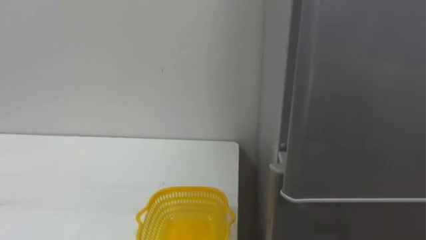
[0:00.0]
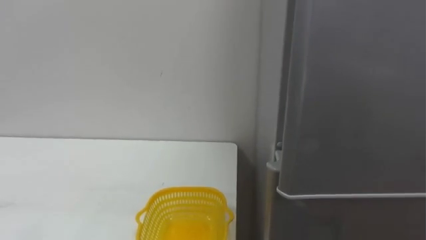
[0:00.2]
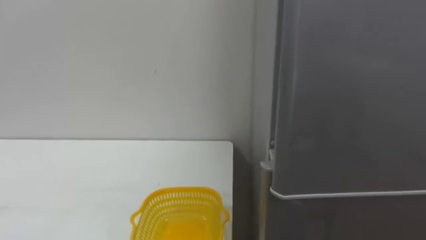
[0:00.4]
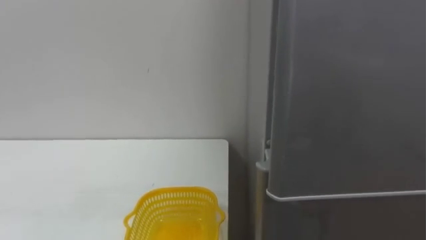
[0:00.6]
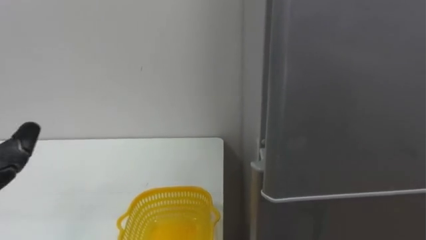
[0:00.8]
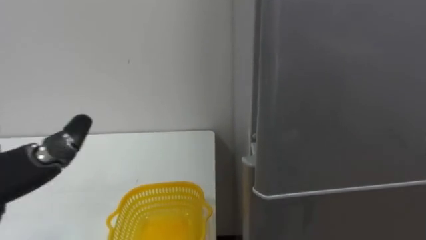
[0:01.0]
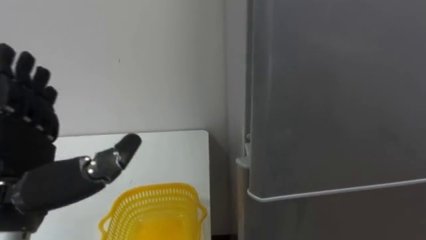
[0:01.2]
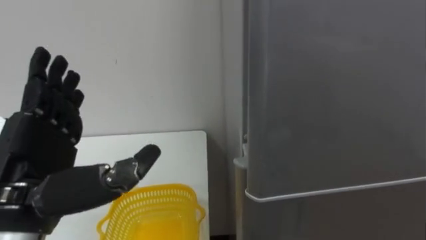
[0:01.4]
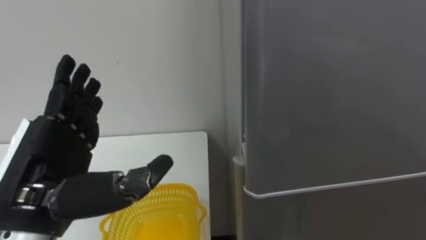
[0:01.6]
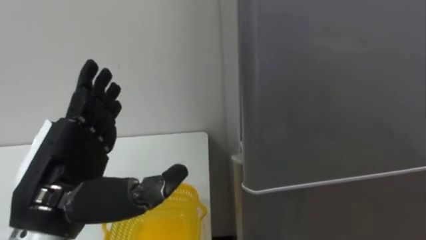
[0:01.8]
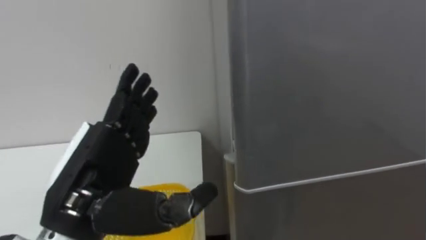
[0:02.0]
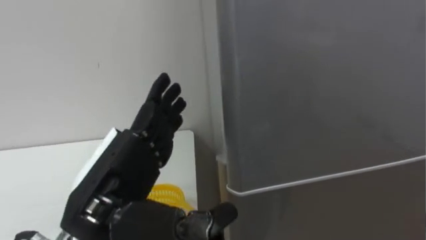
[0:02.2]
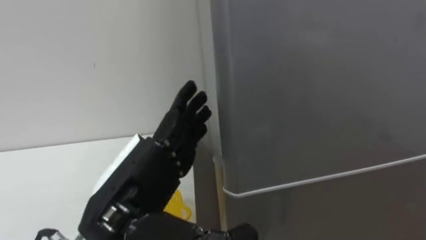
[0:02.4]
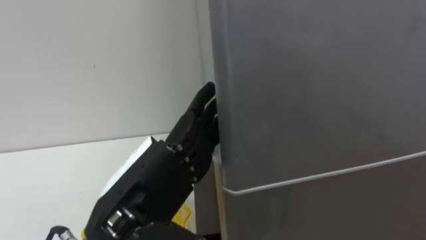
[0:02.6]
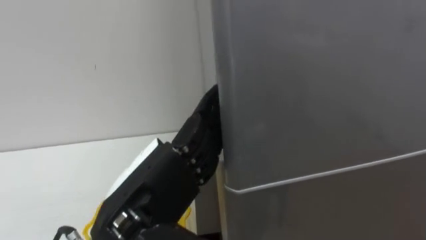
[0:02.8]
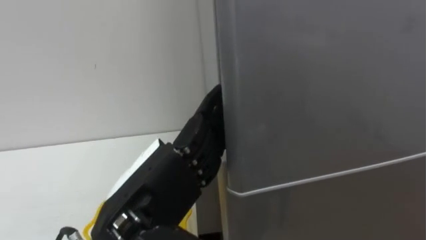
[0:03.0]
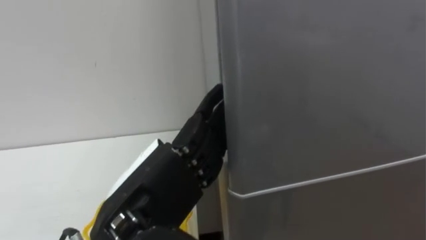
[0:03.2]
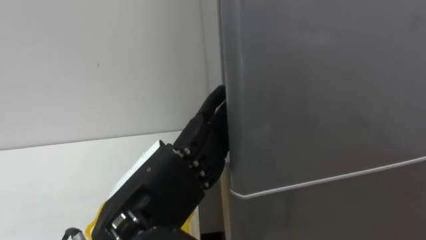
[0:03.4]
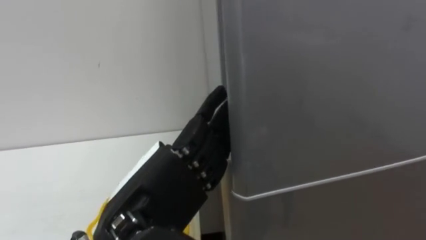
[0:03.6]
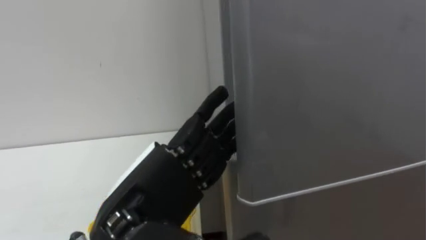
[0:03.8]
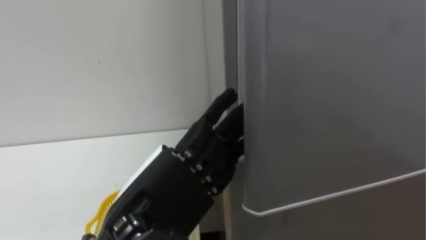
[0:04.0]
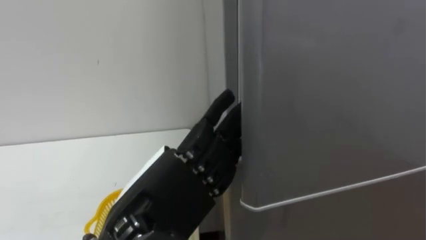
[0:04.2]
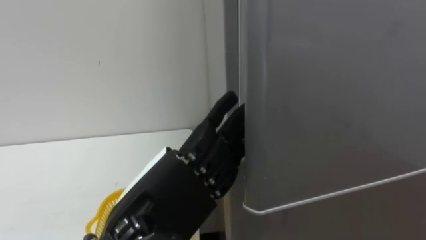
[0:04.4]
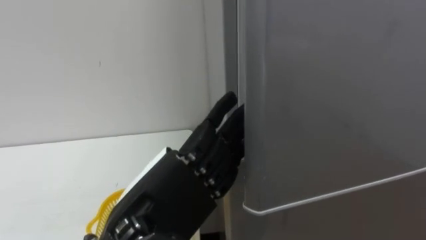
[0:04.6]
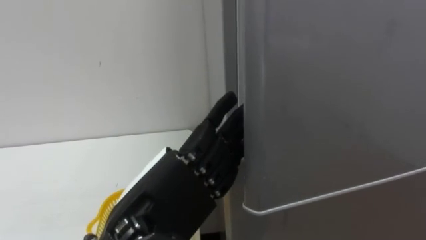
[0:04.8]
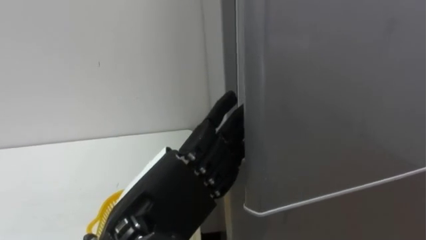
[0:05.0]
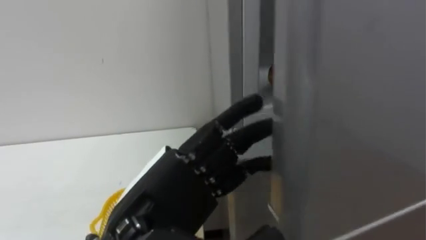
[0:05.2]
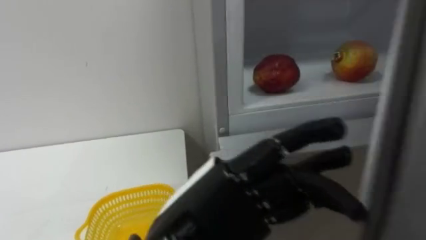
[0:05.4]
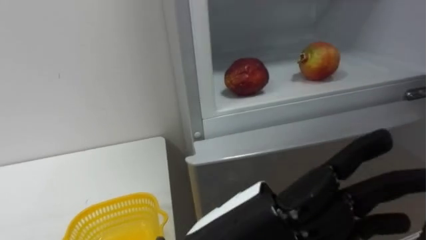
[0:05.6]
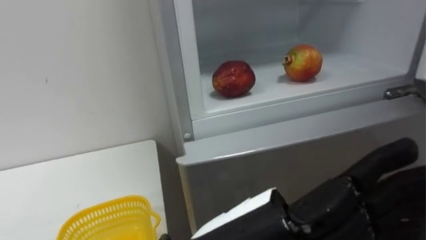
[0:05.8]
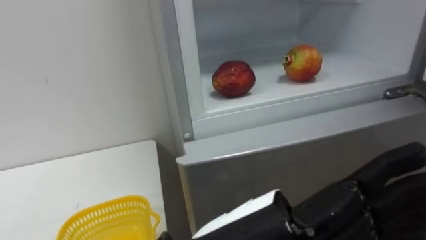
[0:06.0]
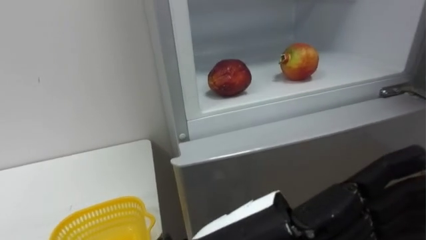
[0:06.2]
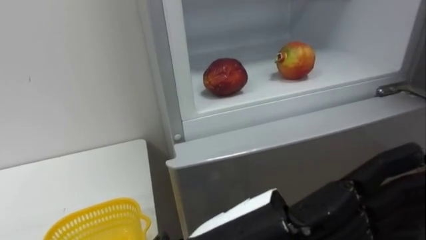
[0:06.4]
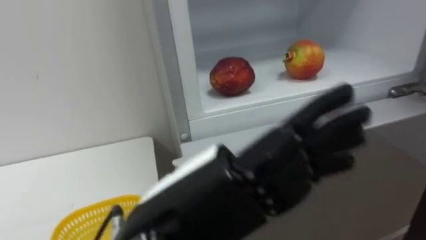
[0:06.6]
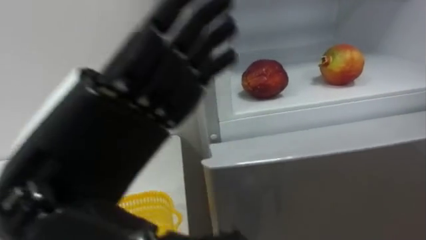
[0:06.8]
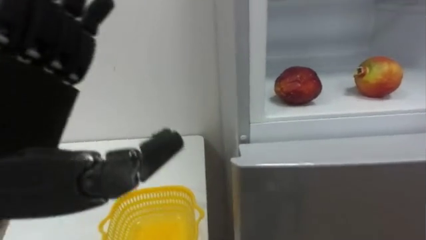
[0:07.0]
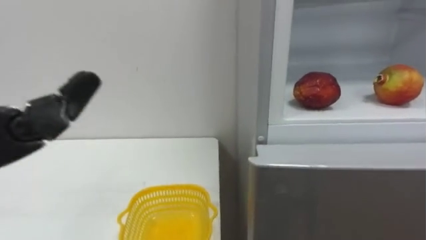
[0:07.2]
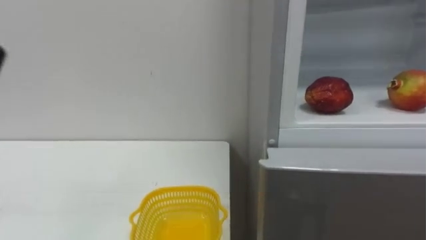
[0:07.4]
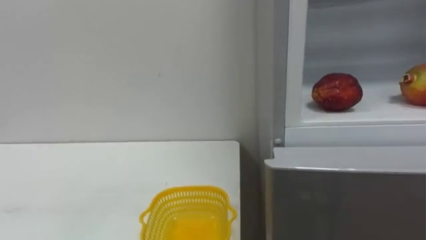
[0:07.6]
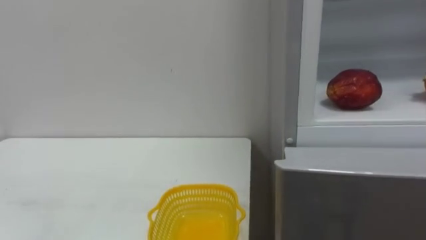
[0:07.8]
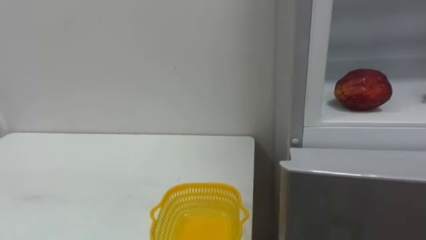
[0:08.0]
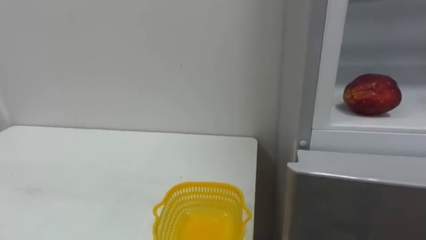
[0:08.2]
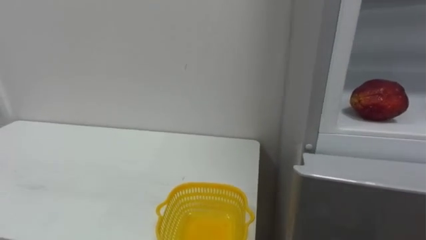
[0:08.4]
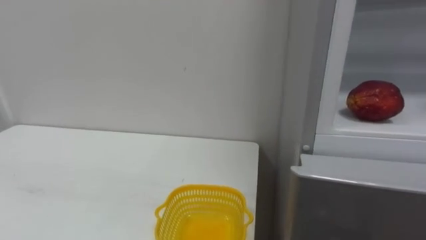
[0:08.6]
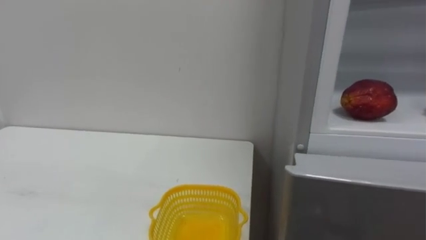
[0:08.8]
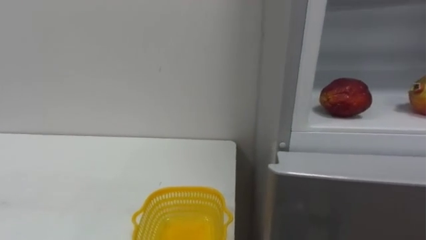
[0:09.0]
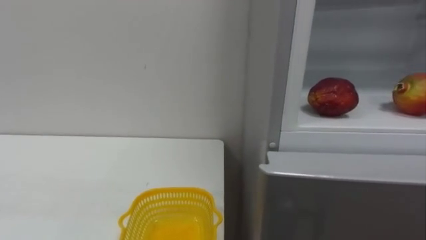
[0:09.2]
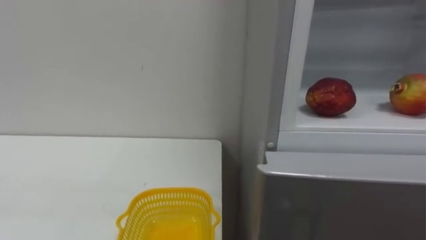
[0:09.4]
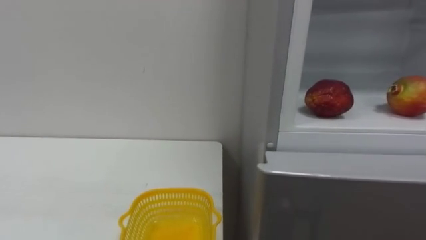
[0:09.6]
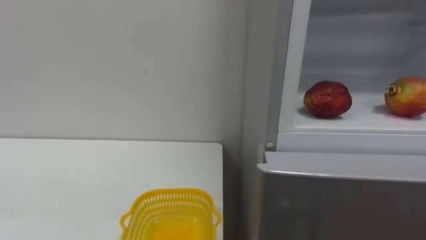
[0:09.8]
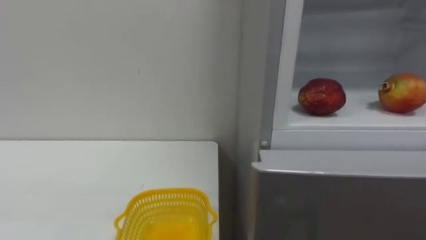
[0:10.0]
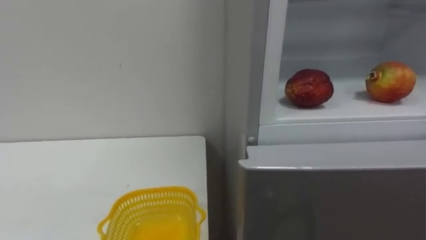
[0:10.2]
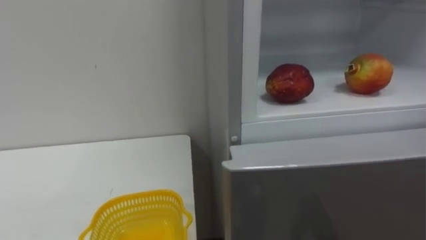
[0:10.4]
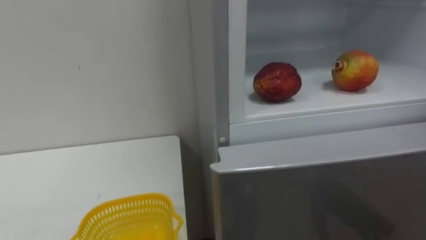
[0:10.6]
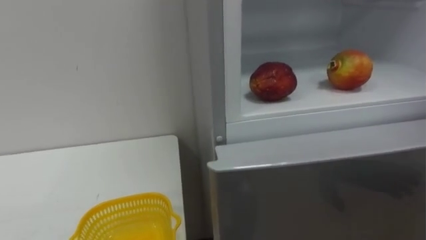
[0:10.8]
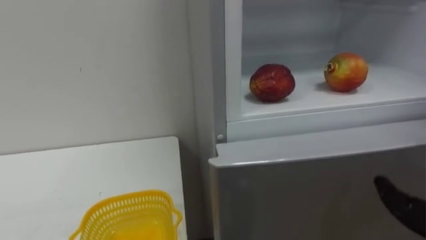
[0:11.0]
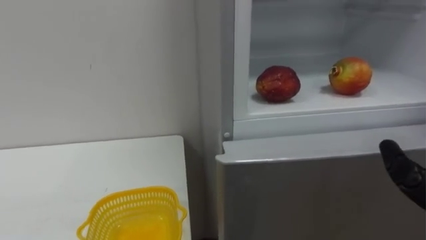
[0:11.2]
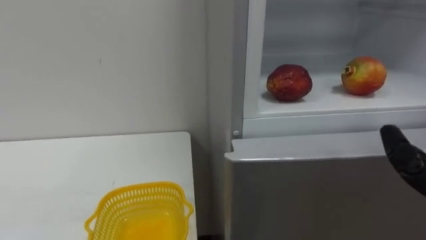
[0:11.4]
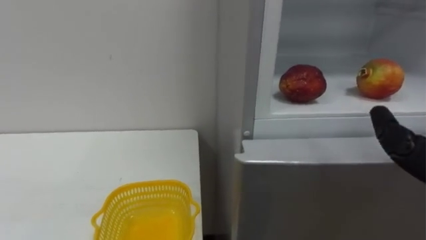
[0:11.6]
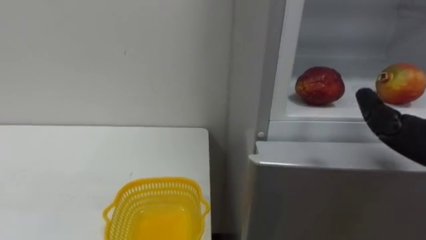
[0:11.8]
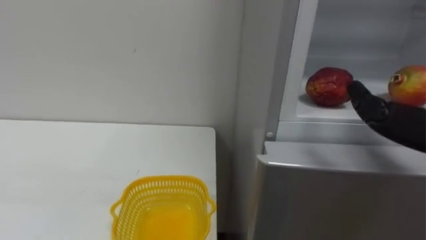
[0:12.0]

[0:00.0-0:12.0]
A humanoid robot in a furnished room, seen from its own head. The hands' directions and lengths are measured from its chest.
Task of the whole recording: Open the refrigerator door, take out the apple and the pomegranate, place them in the fruit basket on the left, and close the refrigerator door.
1.6 to 3.0 s: The left hand is displaced to the right by some 10 cm.
4.4 to 6.0 s: The left hand shifts roughly 10 cm to the right and backward.

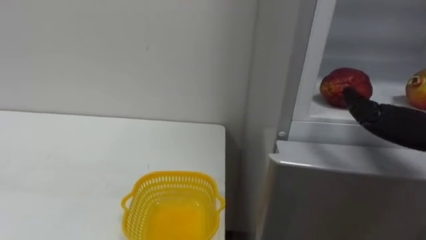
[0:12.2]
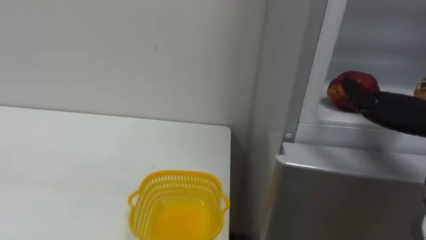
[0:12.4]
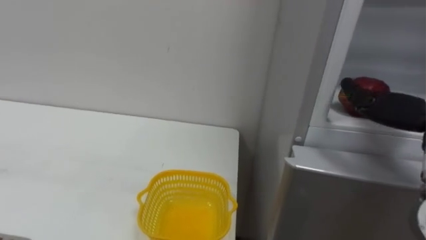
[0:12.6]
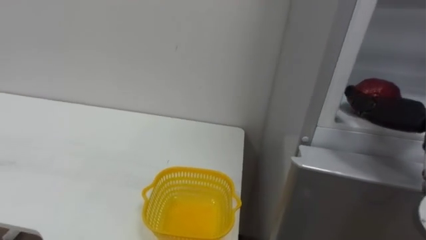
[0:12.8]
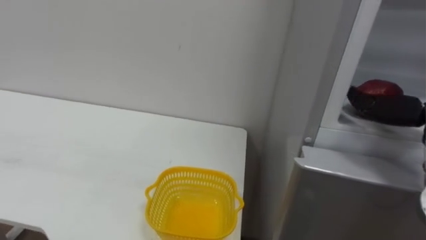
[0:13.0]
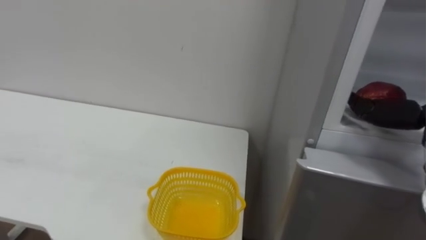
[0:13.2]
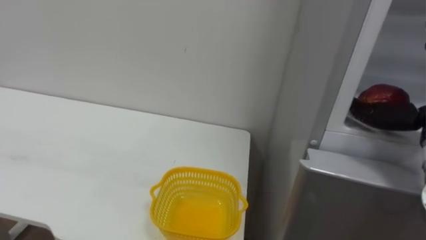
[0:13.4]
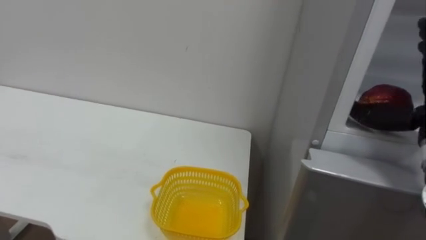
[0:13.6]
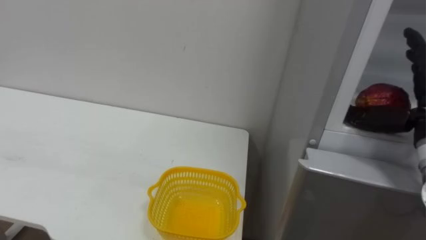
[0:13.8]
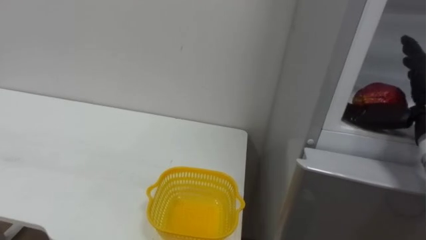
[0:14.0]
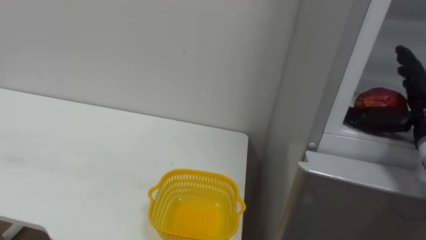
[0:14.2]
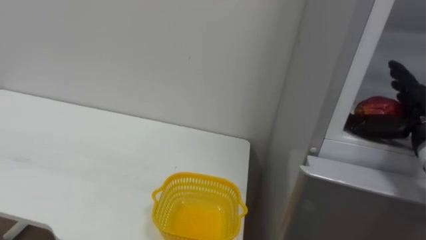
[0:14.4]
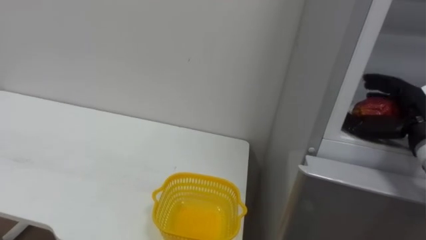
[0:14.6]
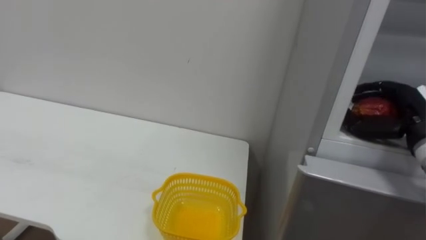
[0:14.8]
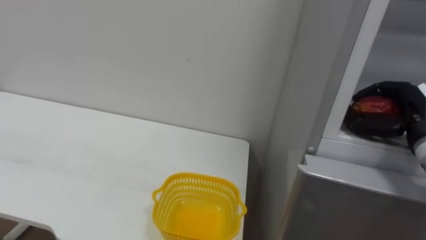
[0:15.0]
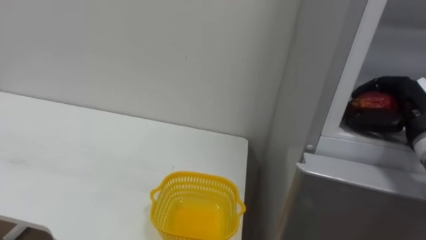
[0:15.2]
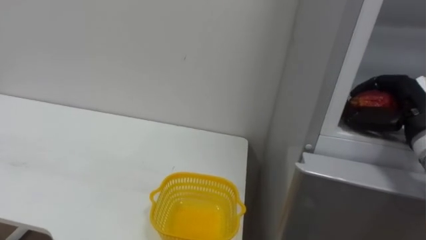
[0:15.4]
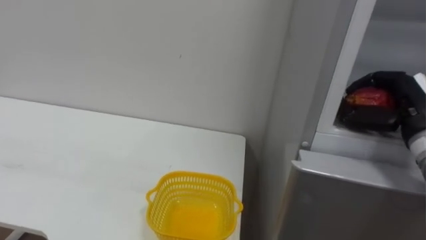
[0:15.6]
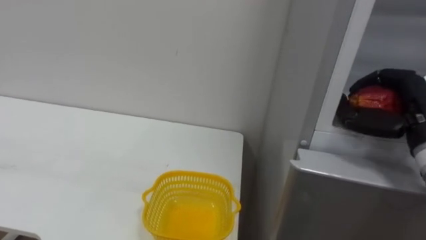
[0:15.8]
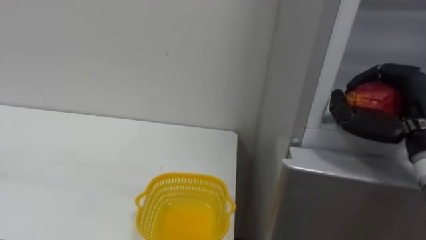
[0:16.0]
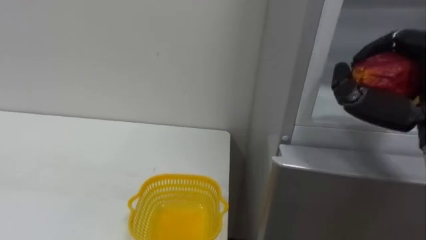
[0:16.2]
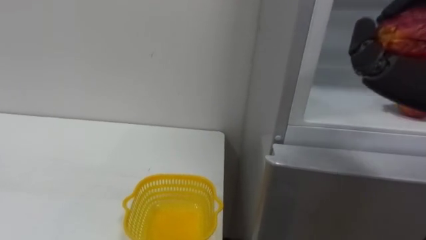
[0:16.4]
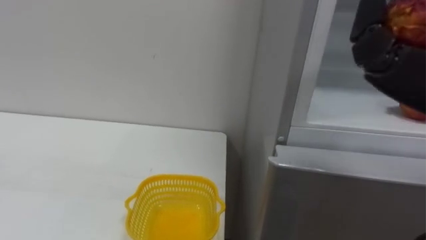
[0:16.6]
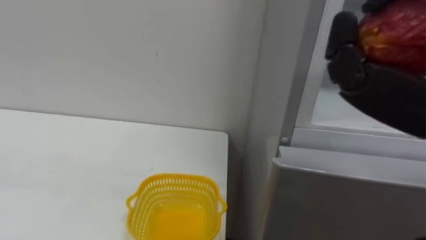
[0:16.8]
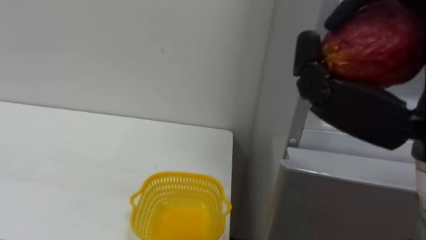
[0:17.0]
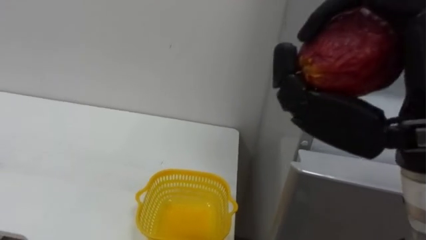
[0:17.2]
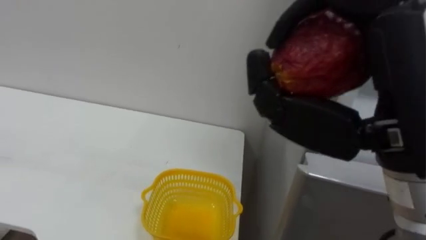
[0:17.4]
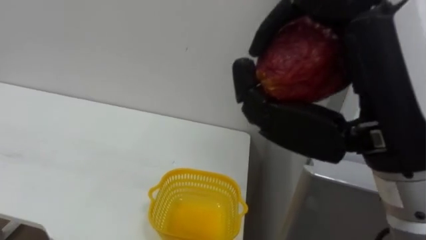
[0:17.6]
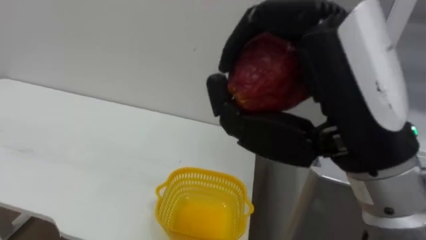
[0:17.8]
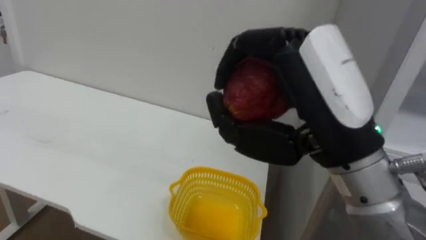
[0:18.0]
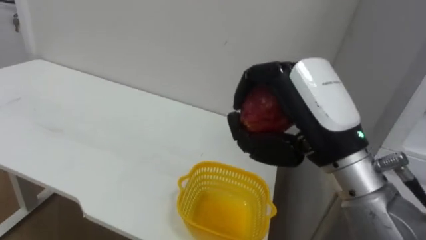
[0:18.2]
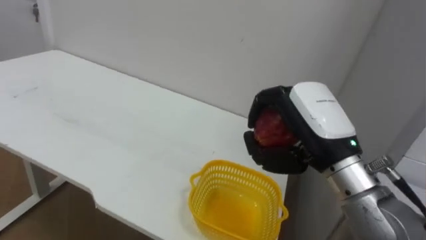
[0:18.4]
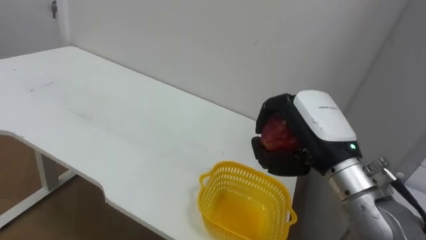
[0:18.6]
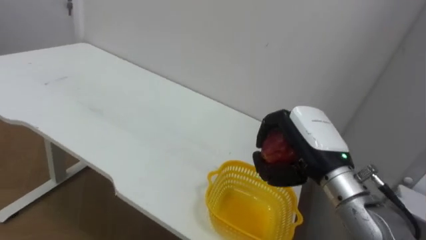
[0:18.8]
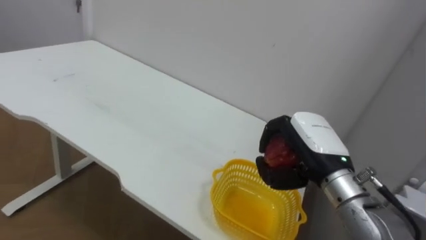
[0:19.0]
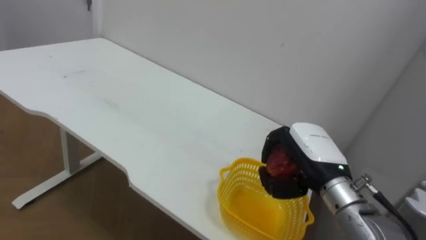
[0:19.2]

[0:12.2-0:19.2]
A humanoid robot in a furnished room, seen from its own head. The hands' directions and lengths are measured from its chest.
Task of the whole recording: Open the refrigerator door, take out the apple and the pomegranate, place them in the fruit basket on the left, and close the refrigerator door.
17.8 to 19.2 s: The right hand shifts about 25 cm downward and forward.
